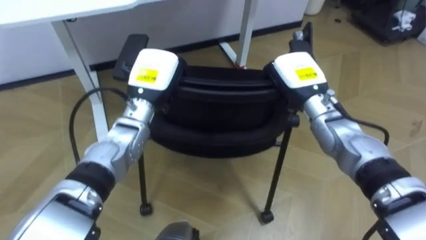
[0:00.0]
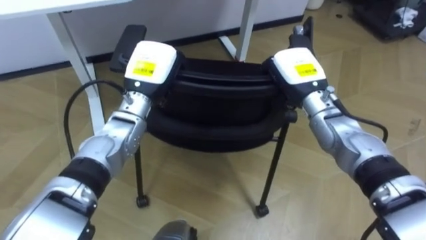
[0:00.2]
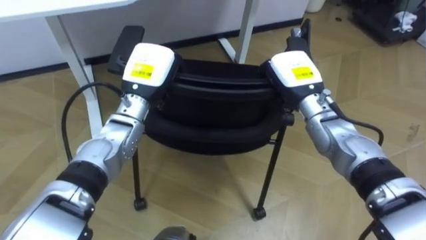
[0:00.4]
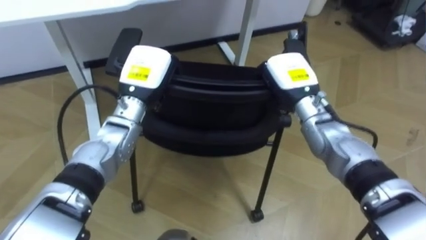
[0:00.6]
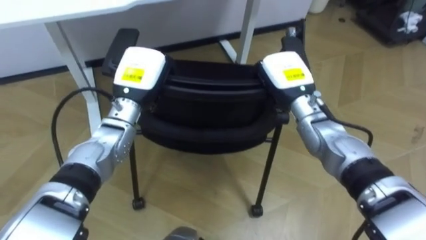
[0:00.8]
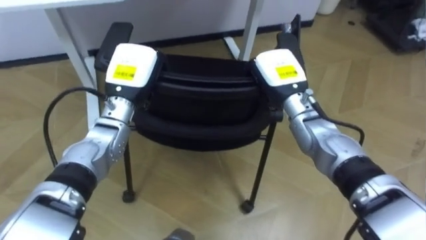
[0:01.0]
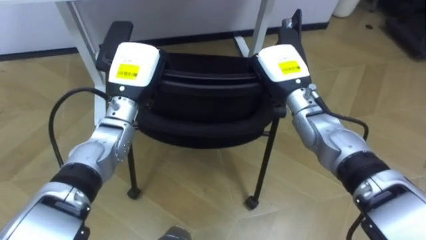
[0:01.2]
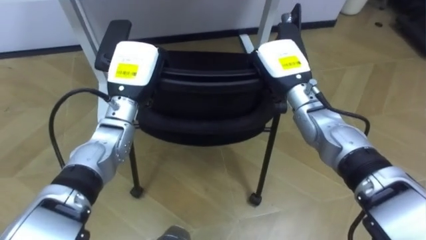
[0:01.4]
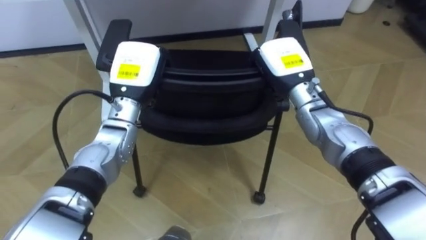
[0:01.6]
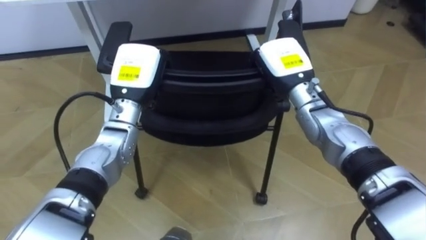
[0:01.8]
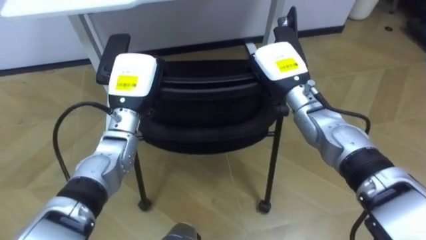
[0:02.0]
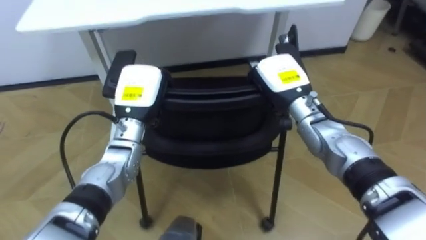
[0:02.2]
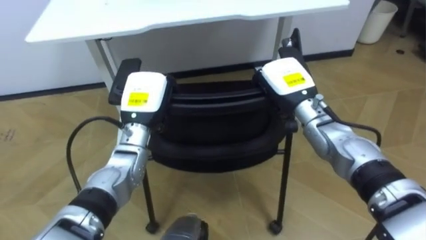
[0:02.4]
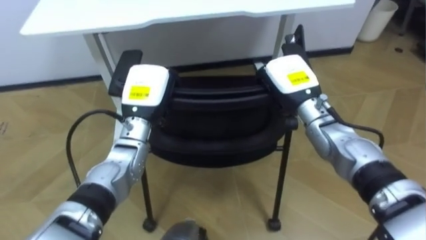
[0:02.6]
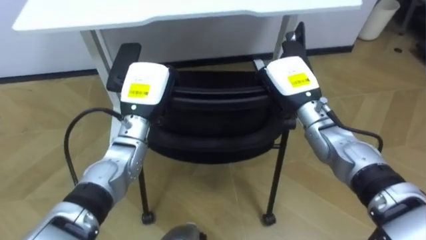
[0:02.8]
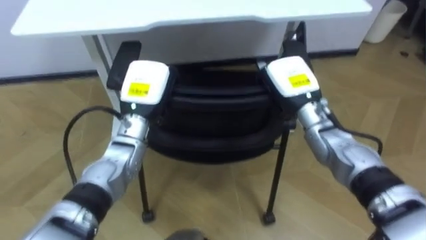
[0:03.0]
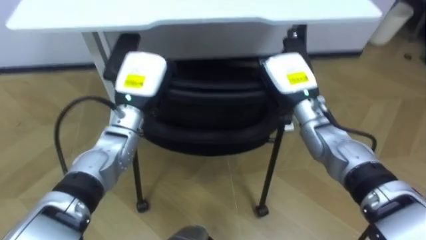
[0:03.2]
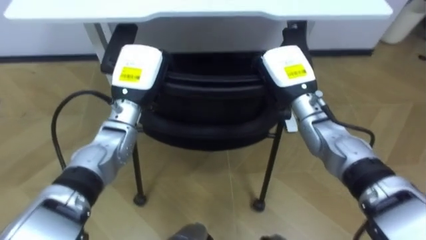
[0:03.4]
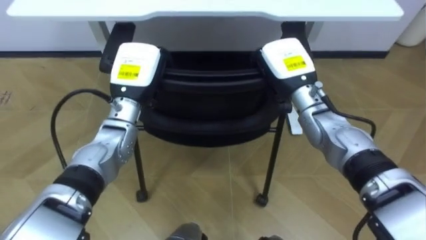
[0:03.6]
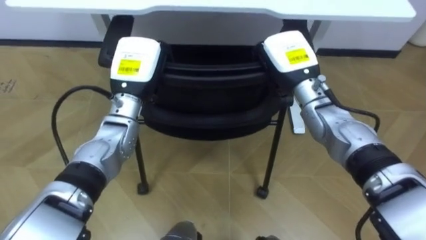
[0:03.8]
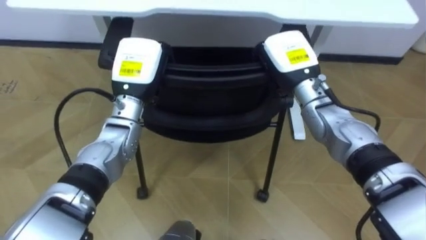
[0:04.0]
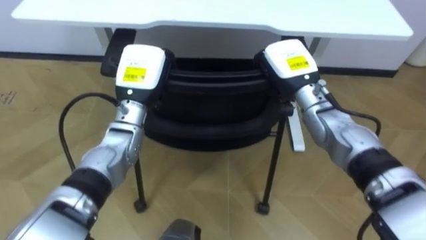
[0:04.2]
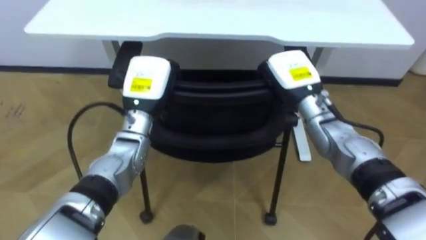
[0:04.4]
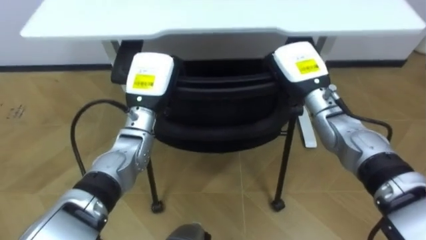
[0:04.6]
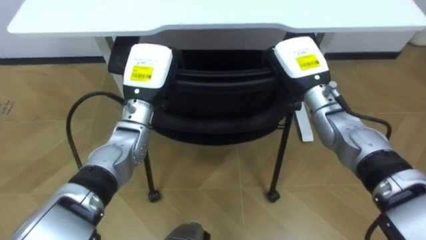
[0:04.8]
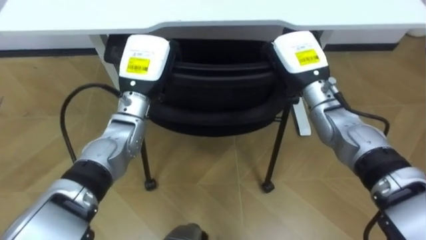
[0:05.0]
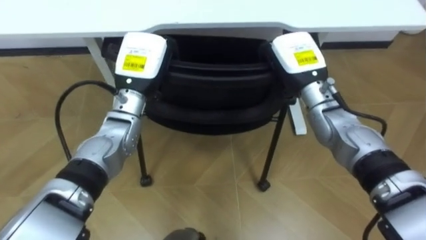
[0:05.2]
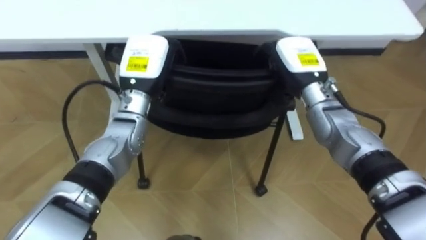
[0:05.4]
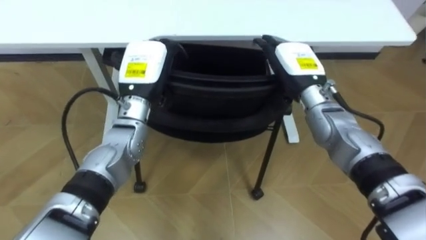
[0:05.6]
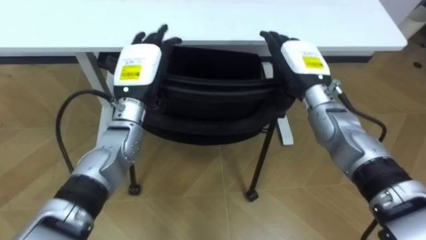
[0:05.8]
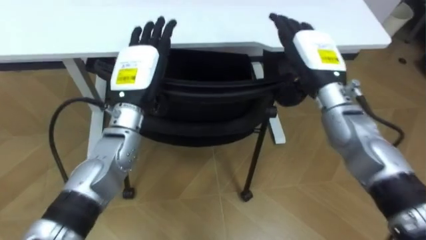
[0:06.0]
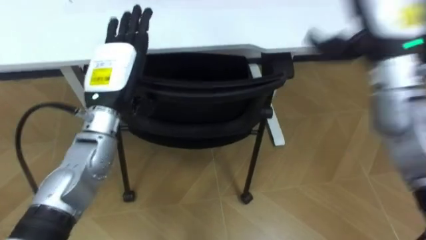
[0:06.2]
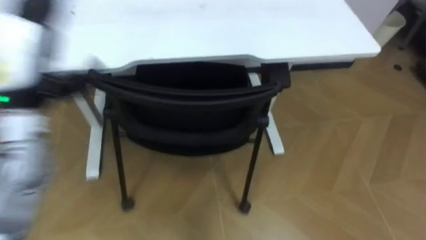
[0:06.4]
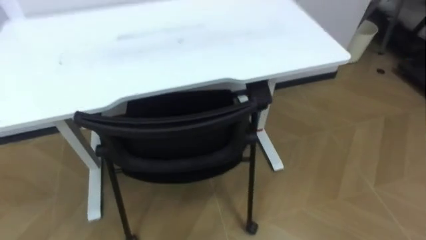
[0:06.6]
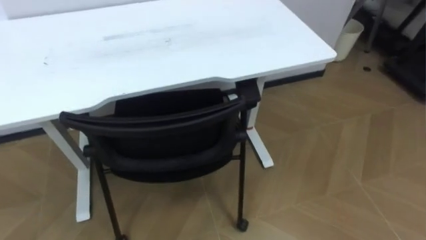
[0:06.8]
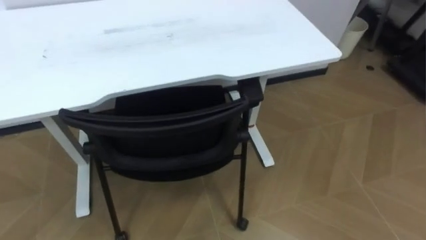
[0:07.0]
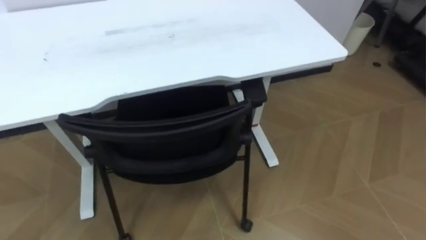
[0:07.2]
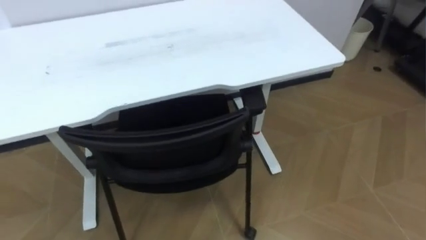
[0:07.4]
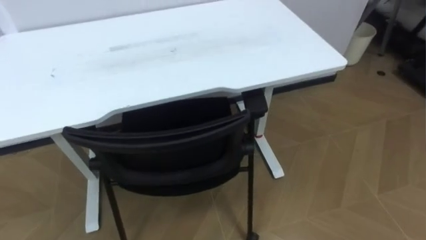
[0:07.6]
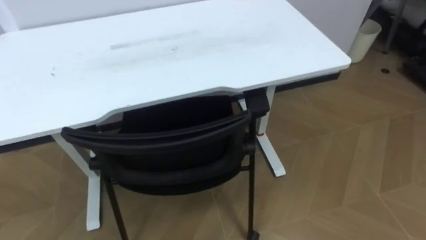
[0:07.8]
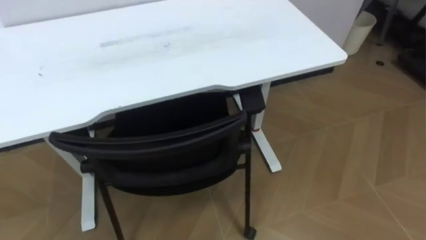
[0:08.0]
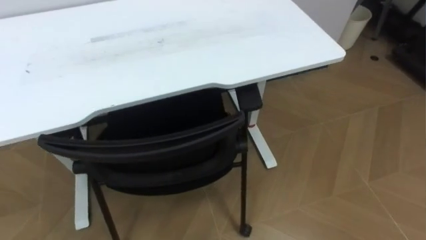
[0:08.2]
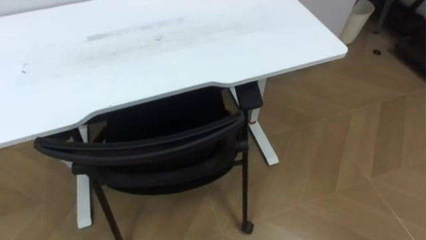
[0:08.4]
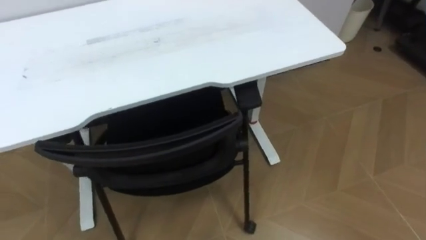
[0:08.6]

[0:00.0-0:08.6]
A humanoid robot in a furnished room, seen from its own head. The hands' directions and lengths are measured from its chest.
Task of the whole recording: Push the chair under the table.
0:04.4 to 0:05.8: The left hand opens its fingers, while the right hand opens its fingers.

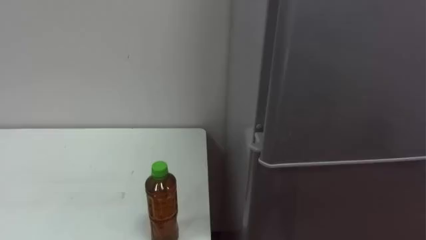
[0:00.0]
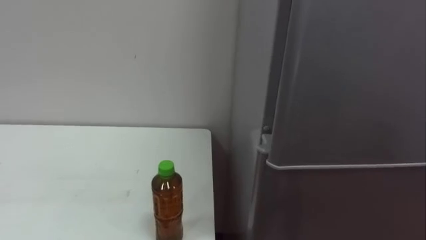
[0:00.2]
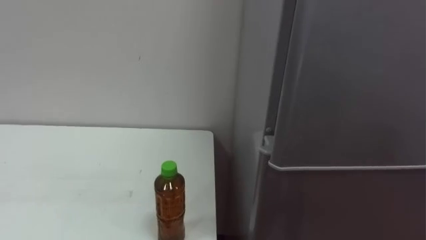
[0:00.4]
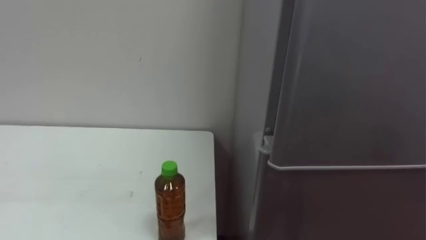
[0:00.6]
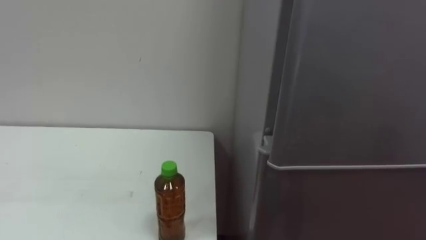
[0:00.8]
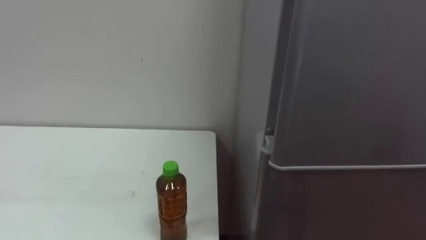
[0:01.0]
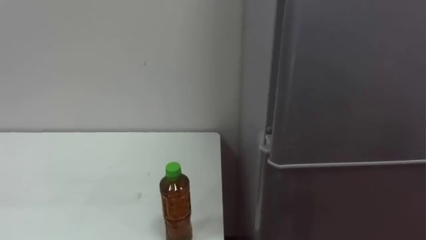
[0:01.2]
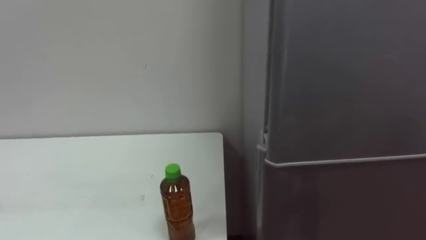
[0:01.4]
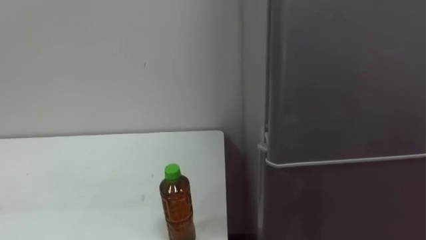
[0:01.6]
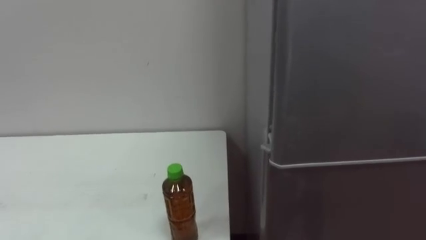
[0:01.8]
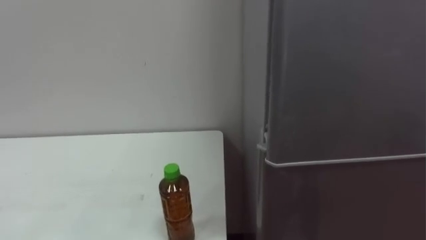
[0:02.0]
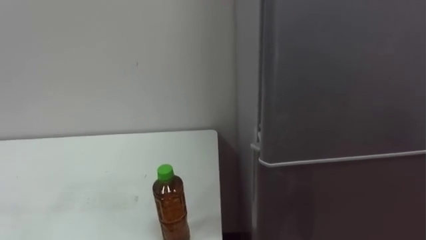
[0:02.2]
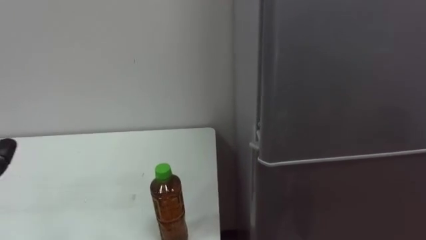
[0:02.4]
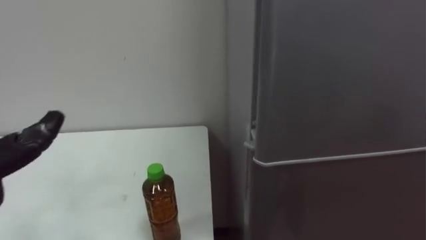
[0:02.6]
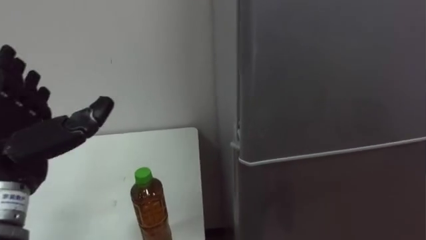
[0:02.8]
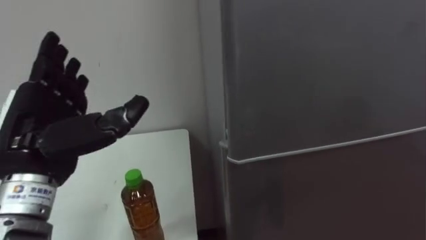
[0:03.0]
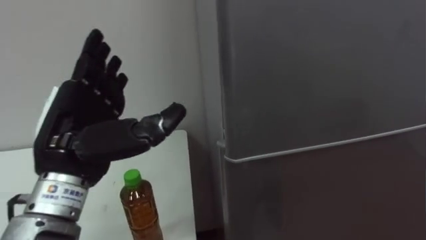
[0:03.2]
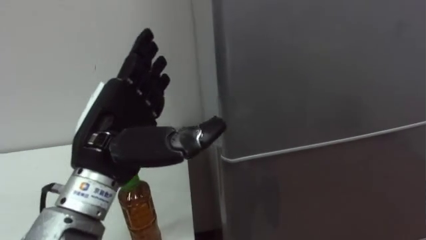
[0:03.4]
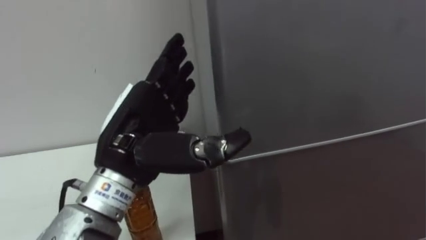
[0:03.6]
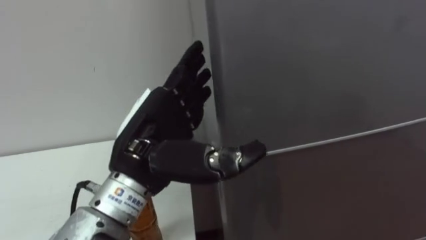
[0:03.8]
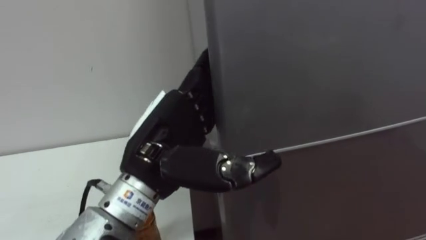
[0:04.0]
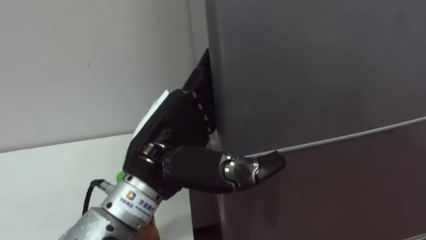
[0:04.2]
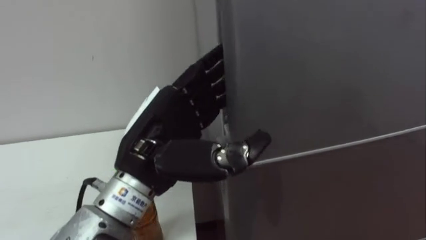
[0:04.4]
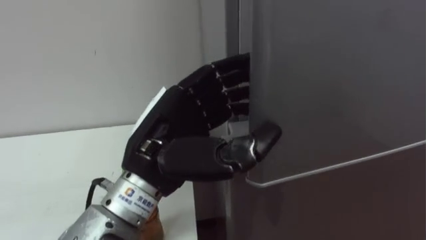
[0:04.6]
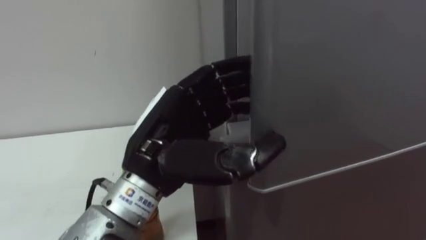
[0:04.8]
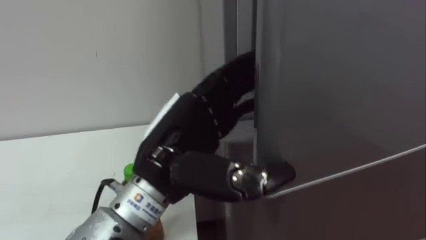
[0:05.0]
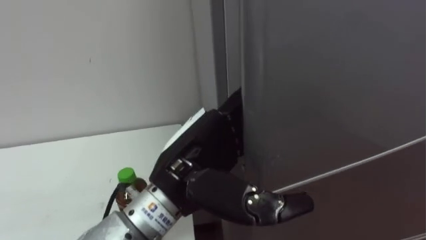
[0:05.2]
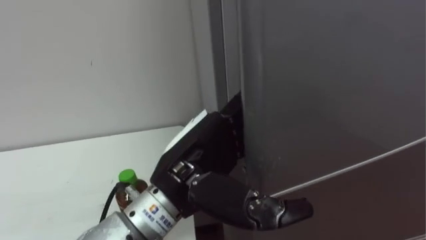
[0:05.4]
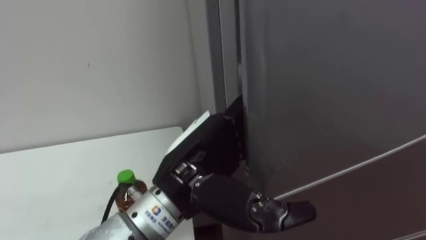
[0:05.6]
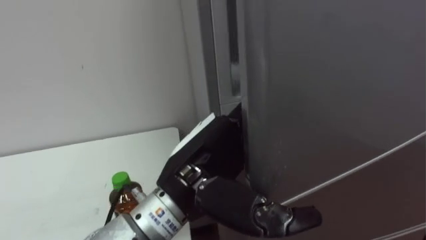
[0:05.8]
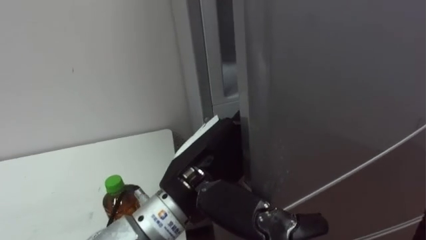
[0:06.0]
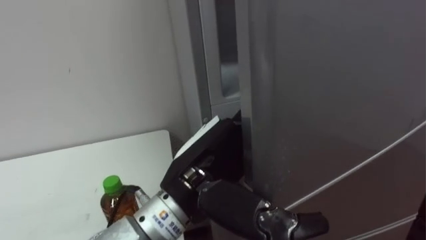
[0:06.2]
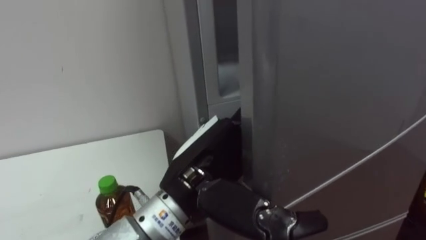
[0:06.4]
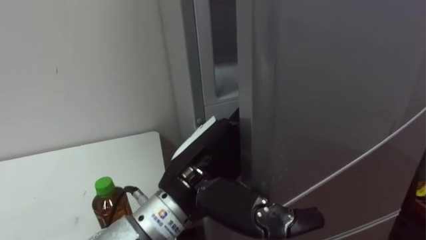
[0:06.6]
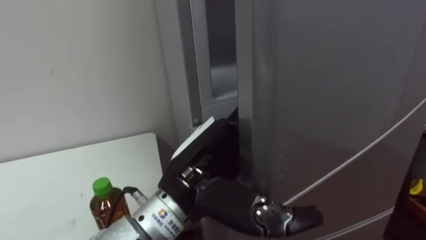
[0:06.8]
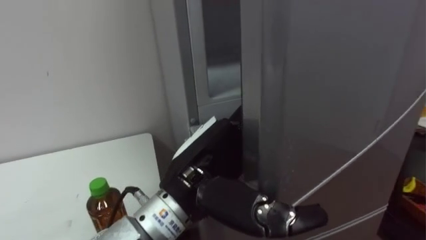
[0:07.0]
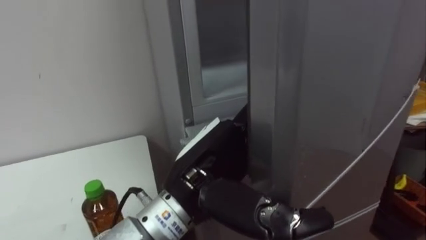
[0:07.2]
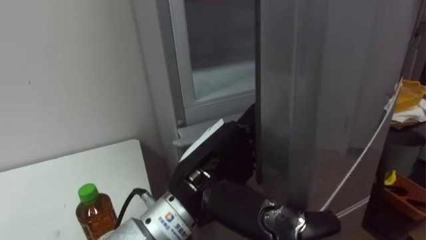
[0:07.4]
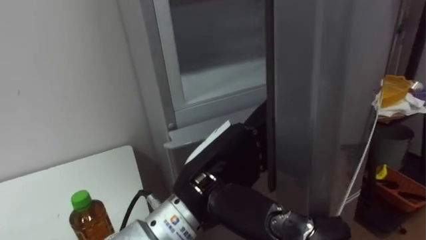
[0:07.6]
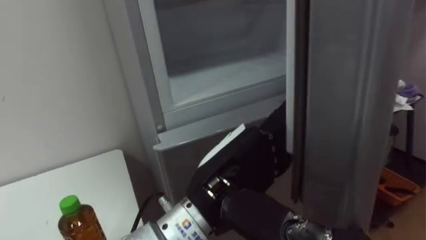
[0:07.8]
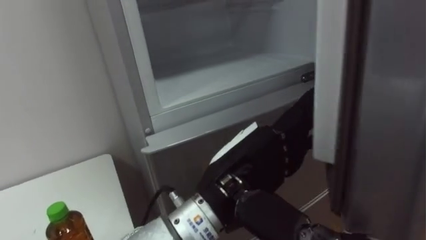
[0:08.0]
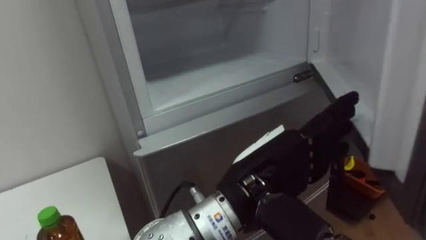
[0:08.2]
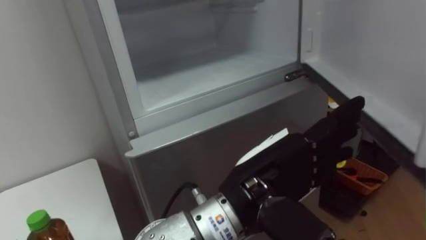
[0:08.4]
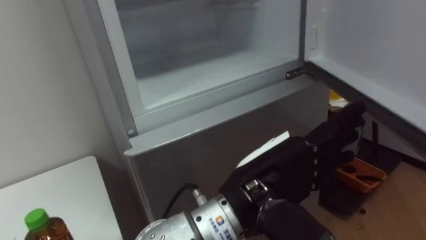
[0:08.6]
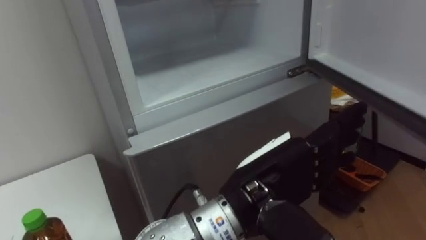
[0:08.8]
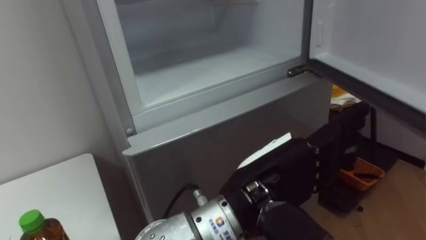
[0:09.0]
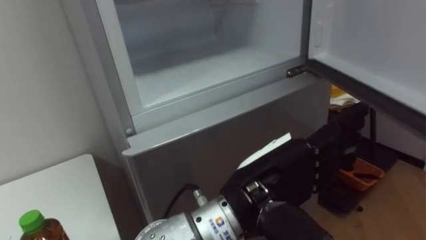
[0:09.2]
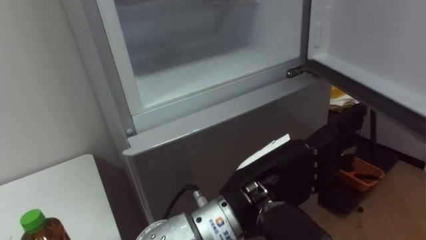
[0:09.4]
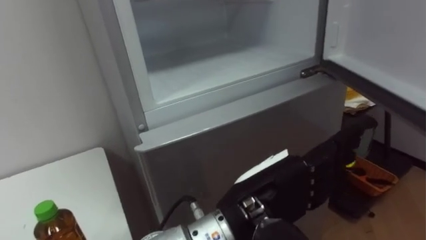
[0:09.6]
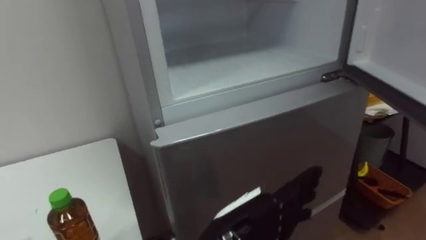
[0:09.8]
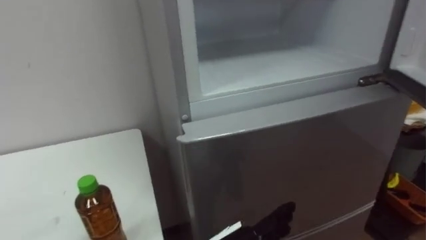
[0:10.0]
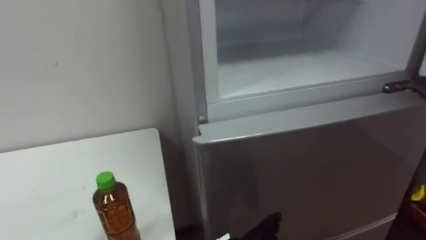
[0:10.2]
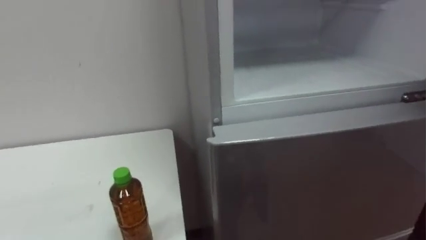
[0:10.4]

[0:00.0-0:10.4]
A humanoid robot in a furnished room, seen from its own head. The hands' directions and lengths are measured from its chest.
Task of the whole recording: Open the upper refrigerator door, put the drink from the table into the refrigerator, and then close the refrigerator door.
0:03.0 to 0:04.4: The left hand shifts roughly 15 cm to the right.
0:04.4 to 0:06.0: The left hand shifts by some 5 cm.
0:07.4 to 0:09.0: The left hand heads to the right, covering approximately 5 cm.
